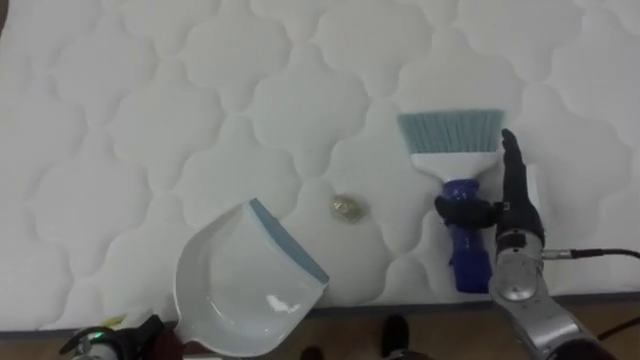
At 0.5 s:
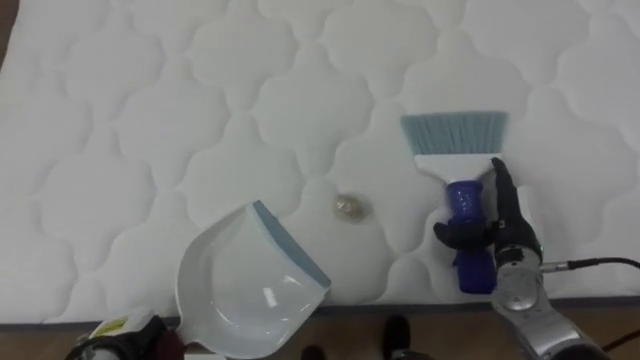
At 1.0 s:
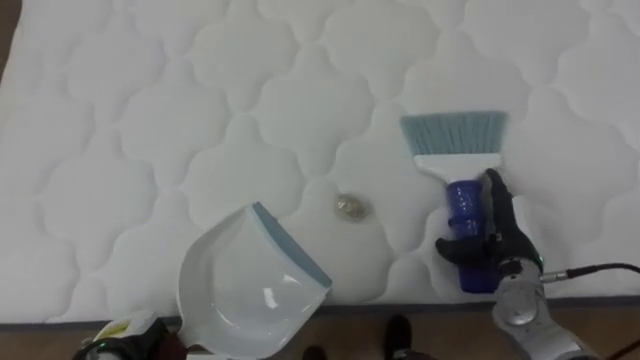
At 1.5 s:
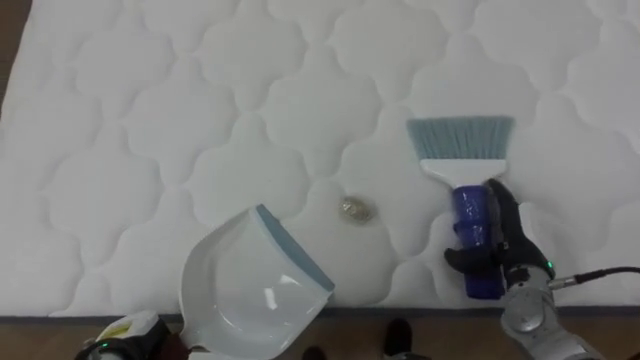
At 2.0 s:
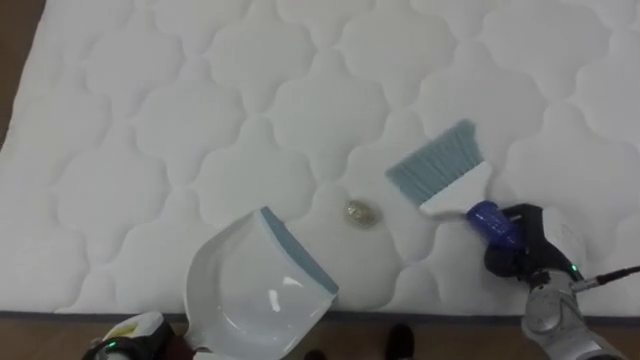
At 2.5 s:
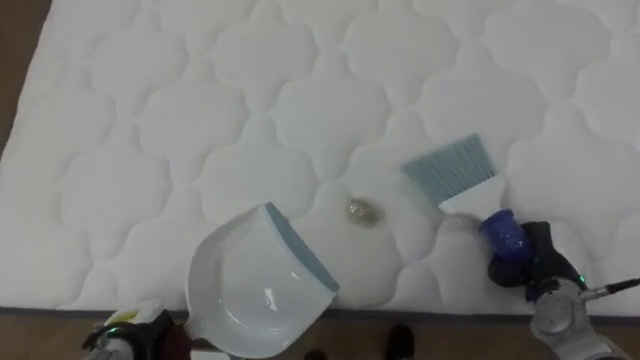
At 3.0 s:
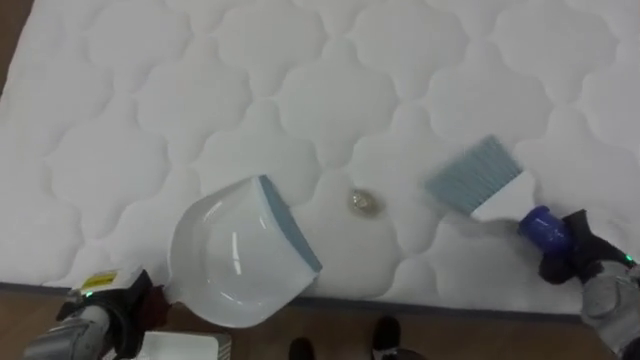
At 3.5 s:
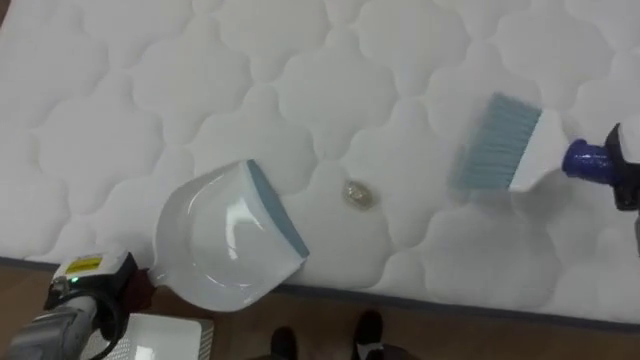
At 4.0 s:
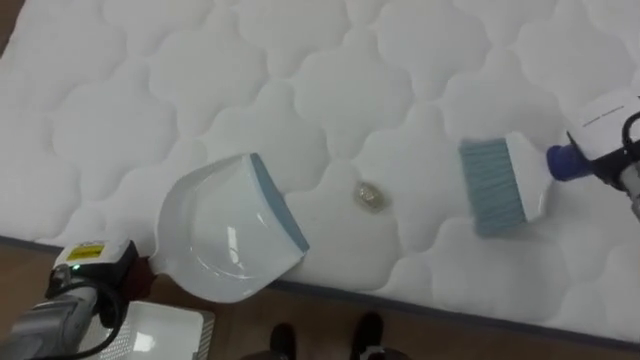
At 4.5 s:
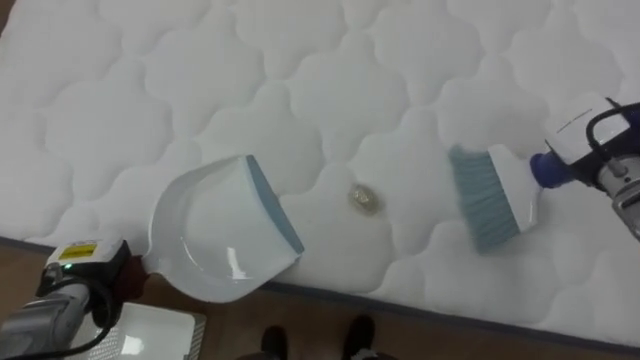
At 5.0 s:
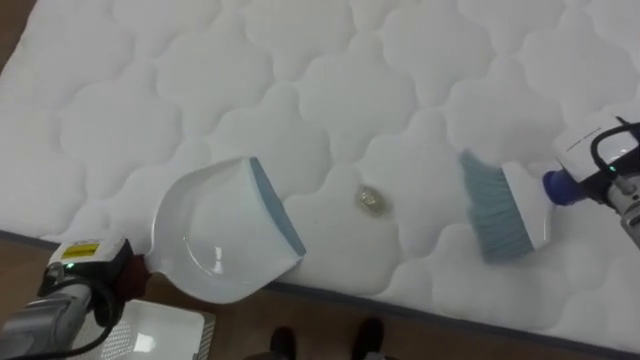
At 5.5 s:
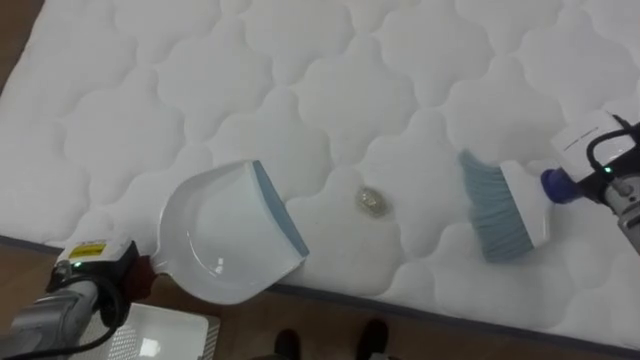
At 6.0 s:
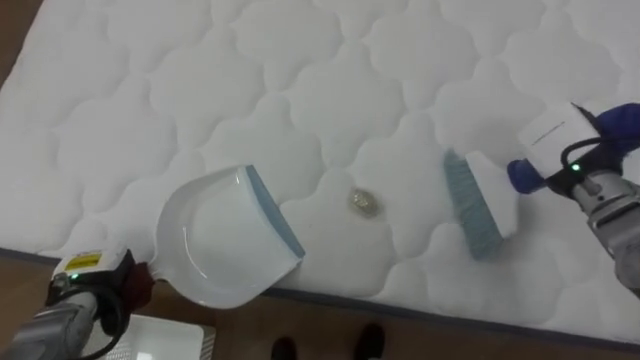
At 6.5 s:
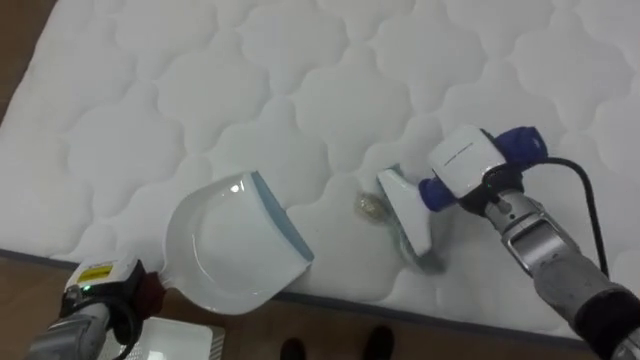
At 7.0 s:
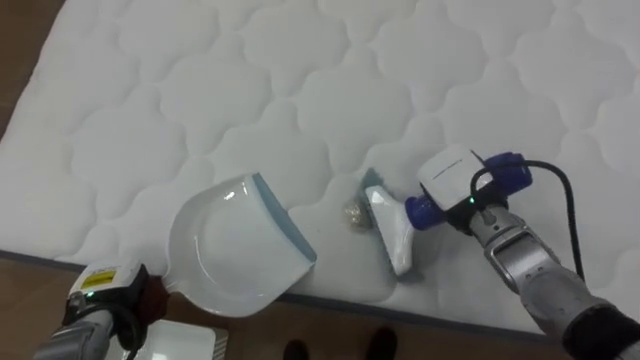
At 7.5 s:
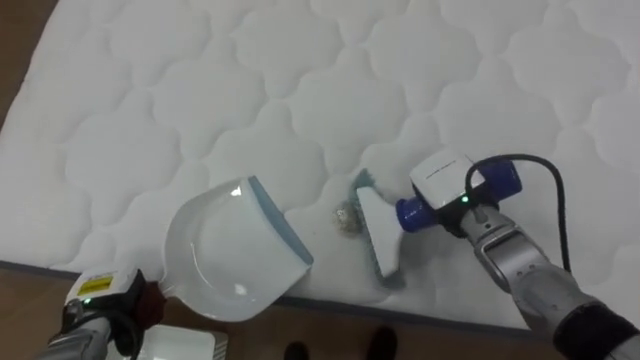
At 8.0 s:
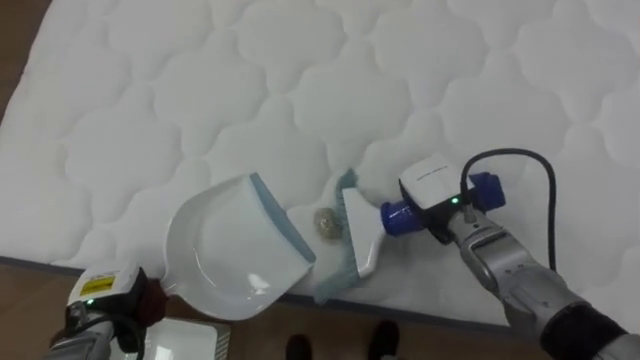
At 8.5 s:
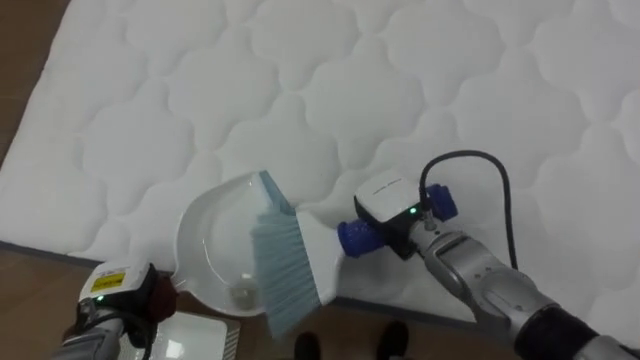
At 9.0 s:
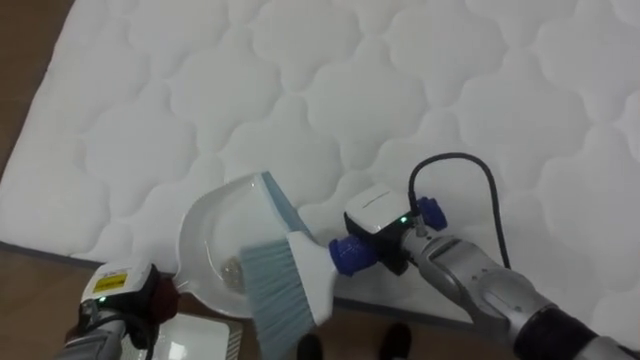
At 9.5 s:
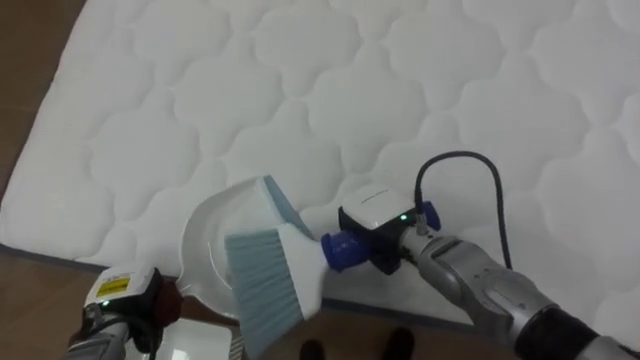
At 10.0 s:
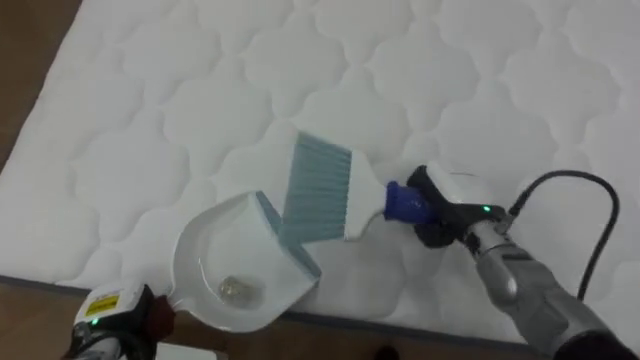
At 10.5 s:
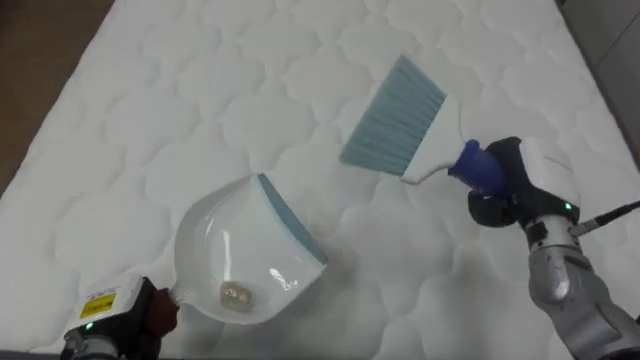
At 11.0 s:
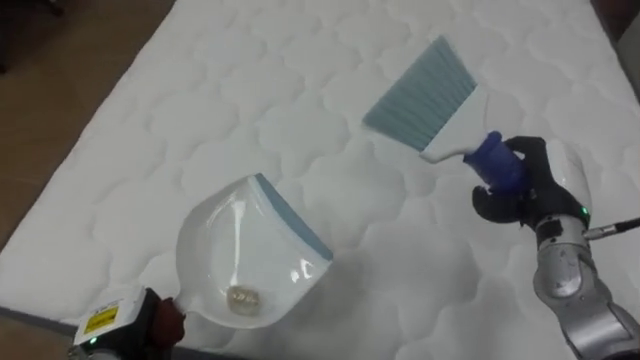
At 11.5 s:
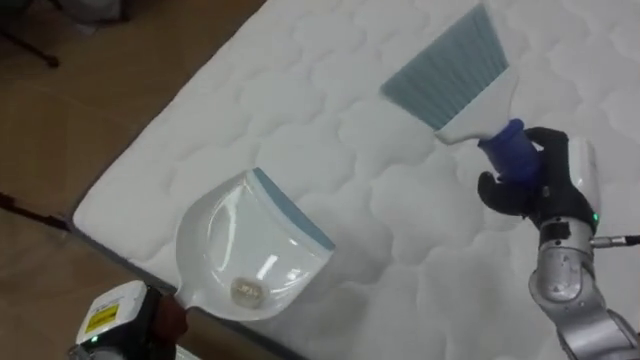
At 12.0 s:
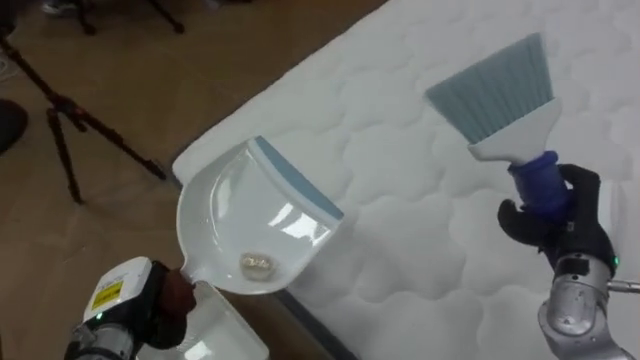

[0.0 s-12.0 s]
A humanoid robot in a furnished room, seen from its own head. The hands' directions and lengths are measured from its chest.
Task of the whole recording: Pick up the brush on your right and the dustpan on your left. Use the brush to sweep the crumpled paper on the bed into the dustpan, then turn left and empty it into the basket.
0.0 to 2.0 s: The right hand goes about 5 cm downward, and closes its fingers.
2.0 to 4.0 s: The left hand heads forward and upward, covering approximately 10 cm.
4.0 to 6.0 s: The right hand shifts some 5 cm to the left.
6.0 to 8.0 s: The right hand goes approximately 15 cm to the left.
8.0 to 10.0 s: The right hand travels to the left and back again, roughly 10 cm each way.
10.0 to 12.0 s: The robot rotates approximately 40 degrees to its left. The right hand travels to the right by about 15 cm, while the left hand shifts roughly 5 cm upward.

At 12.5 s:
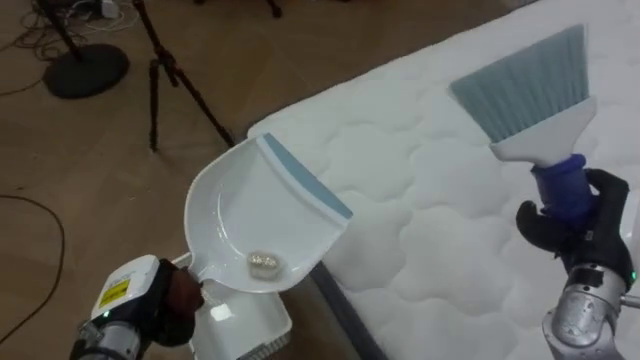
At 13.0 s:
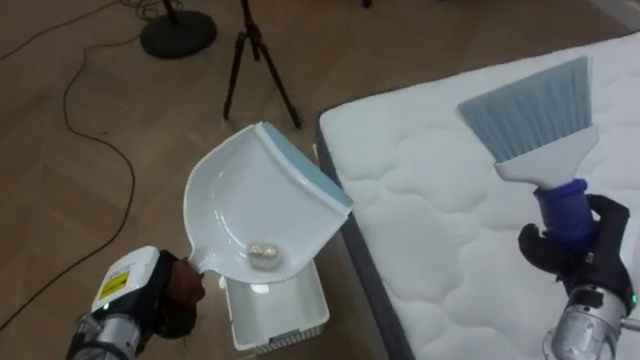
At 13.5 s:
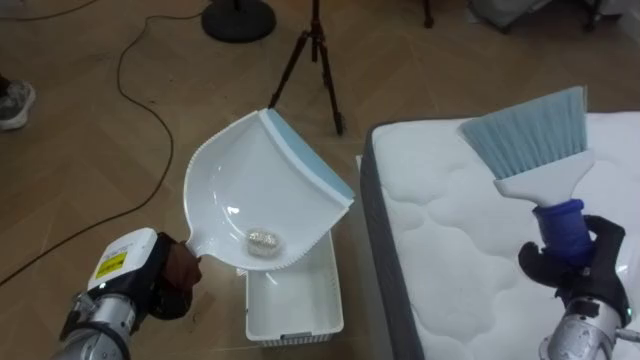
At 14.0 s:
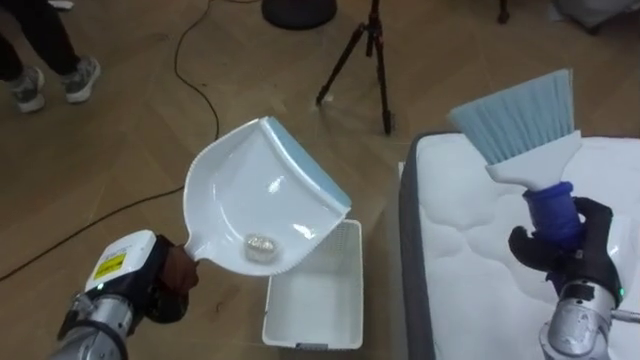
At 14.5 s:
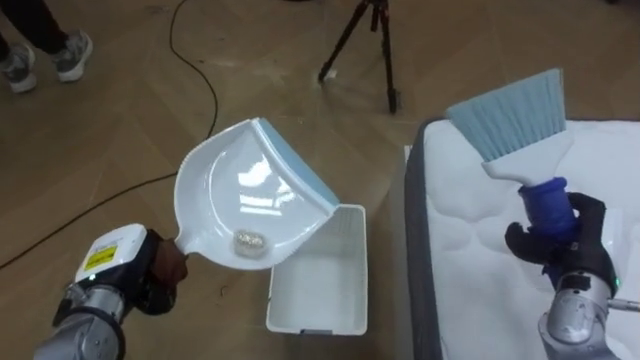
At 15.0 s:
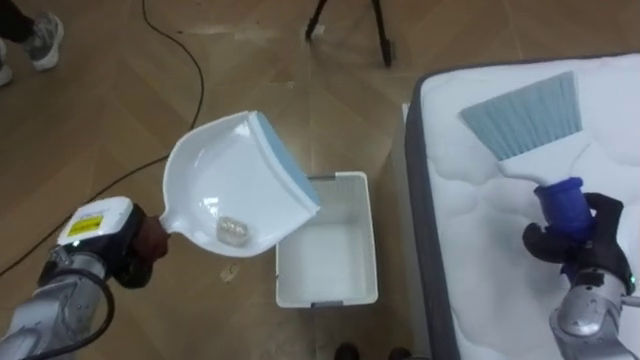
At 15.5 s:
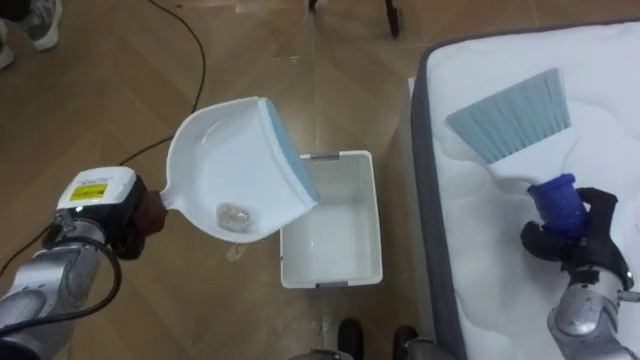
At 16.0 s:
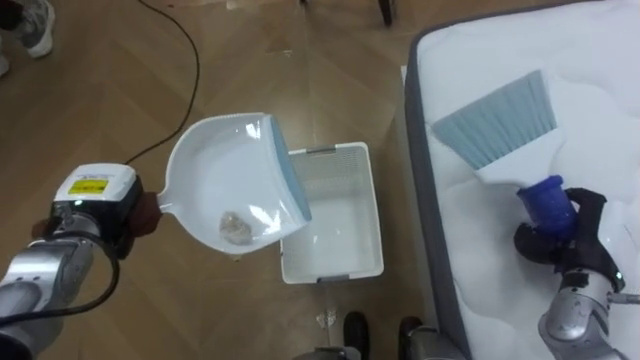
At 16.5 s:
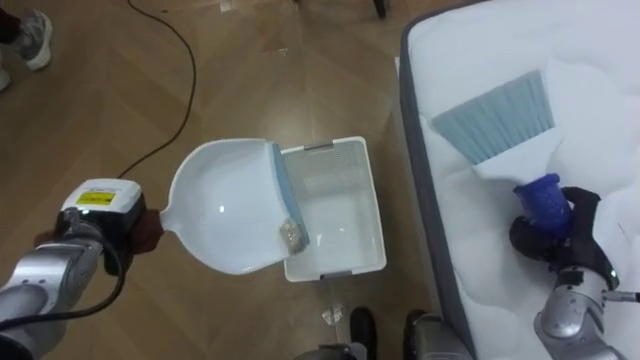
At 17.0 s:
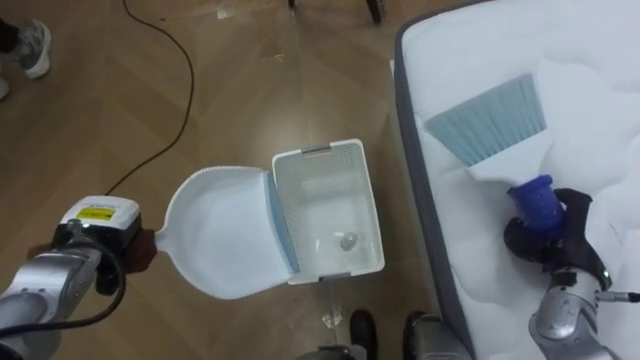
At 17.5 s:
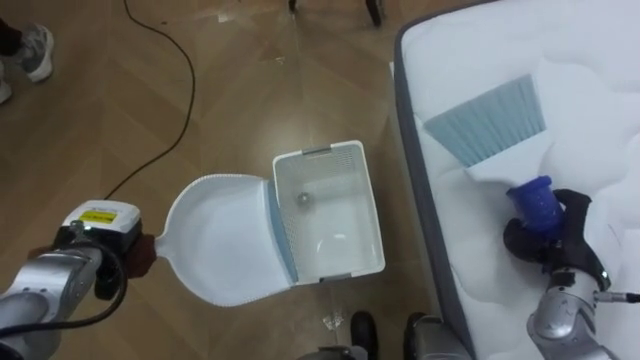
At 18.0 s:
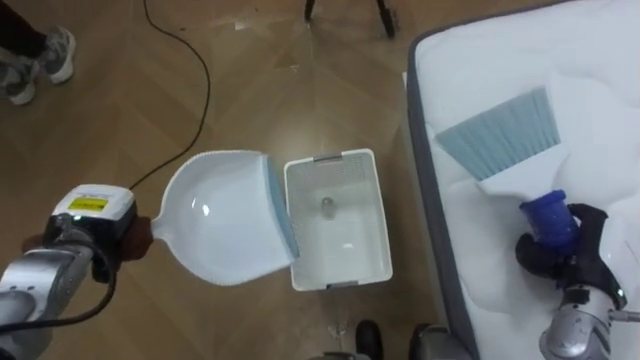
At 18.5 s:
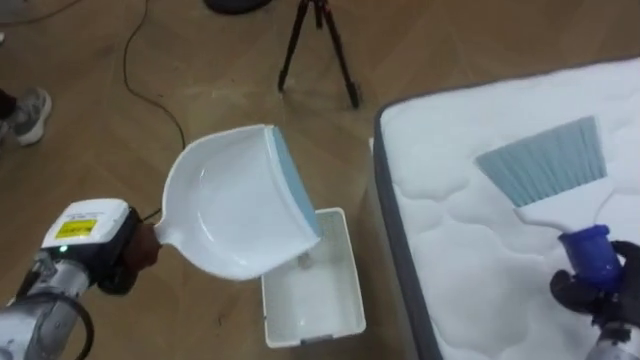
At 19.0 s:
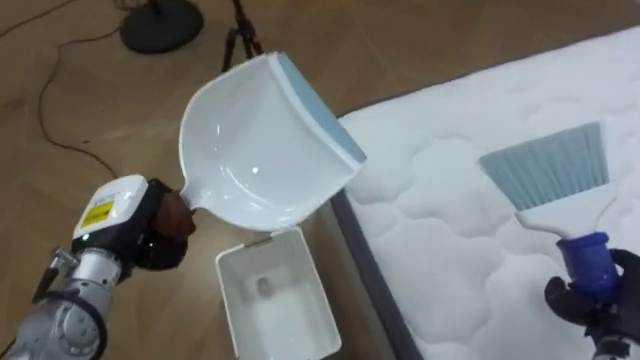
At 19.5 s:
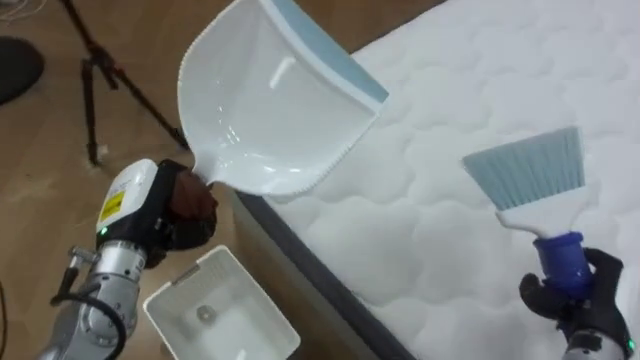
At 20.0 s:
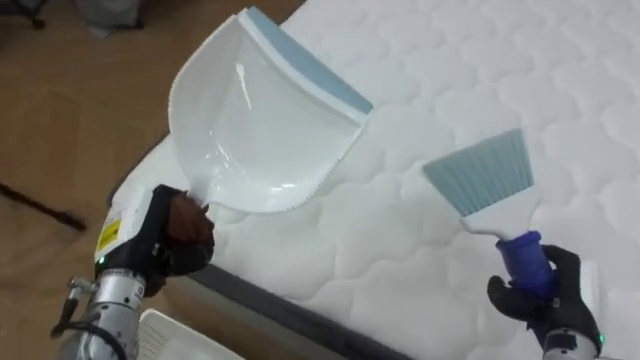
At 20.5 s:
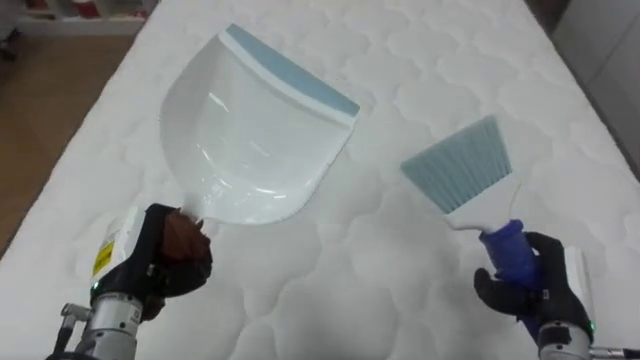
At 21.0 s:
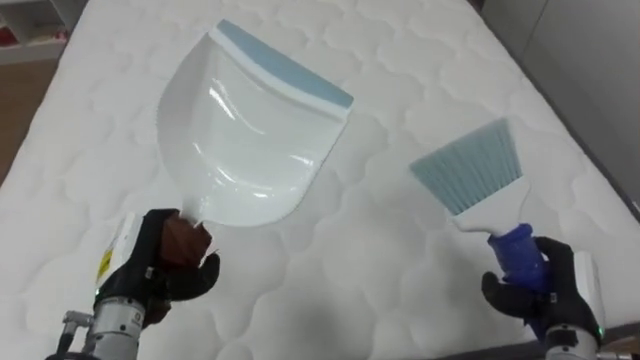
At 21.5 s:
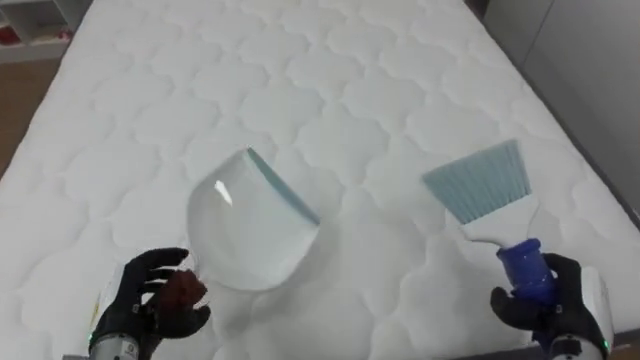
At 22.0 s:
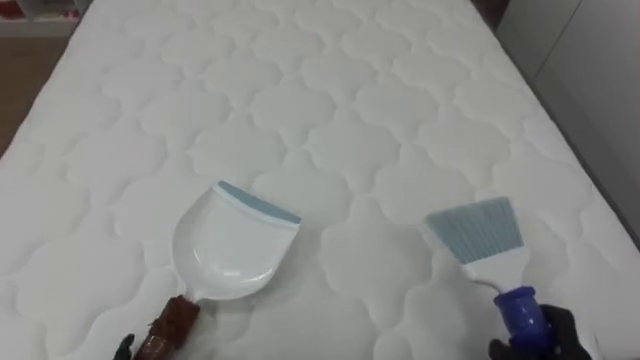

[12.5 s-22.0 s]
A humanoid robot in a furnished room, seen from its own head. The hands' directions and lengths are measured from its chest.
Task of the whole recording: Pick up the brush on your right and the dustpan on your left. Use the brush to sweep the crumpled paper on the bed into the dustpan, then turn left and empty it into the basket.
12.5 to 14.5 s: The robot turns to its left by about 35 degrees.
14.5 to 16.5 s: The left hand is displaced forward by some 5 cm.
18.0 to 20.0 s: The robot turns to its right by approximately 65 degrees. The left hand travels to the right by approximately 5 cm. The right hand moves about 5 cm.
20.0 to 22.0 s: The robot faces approximately 30 degrees further to its right. The right hand shifts approximately 5 cm downward.
